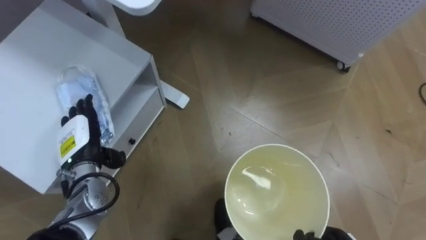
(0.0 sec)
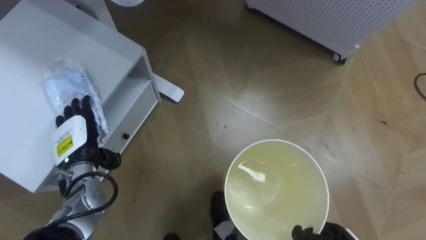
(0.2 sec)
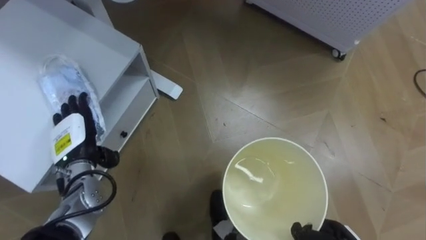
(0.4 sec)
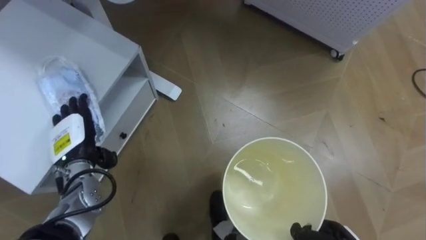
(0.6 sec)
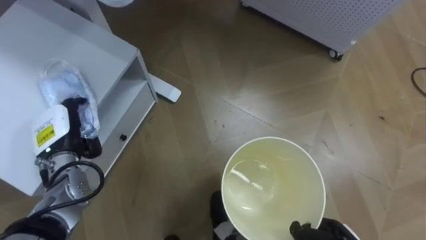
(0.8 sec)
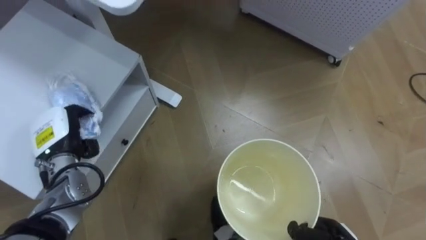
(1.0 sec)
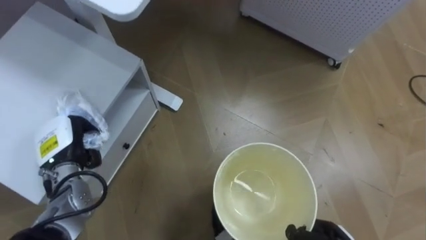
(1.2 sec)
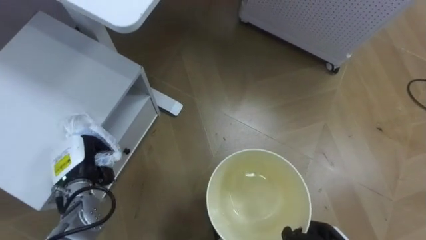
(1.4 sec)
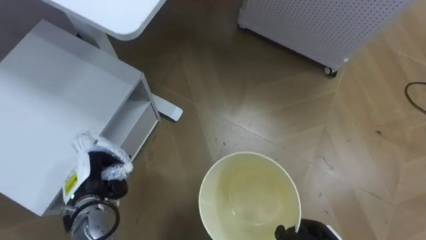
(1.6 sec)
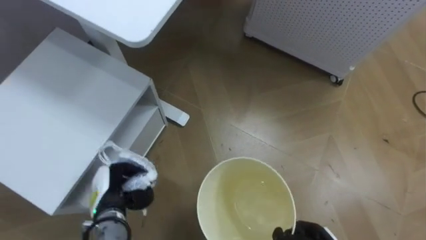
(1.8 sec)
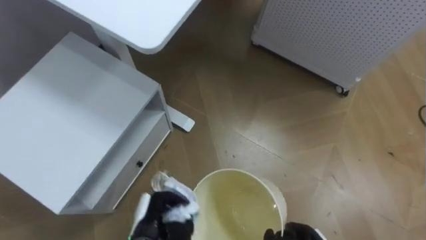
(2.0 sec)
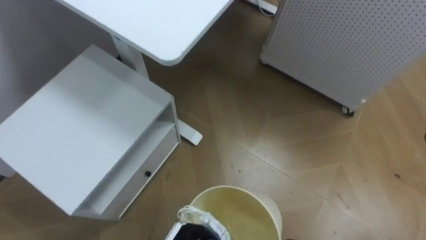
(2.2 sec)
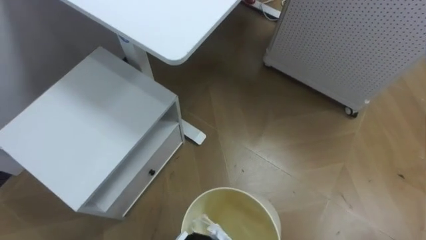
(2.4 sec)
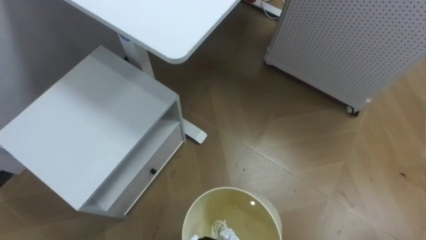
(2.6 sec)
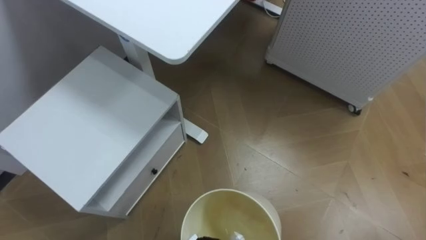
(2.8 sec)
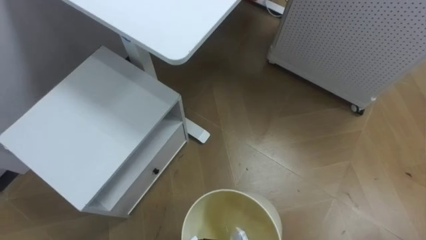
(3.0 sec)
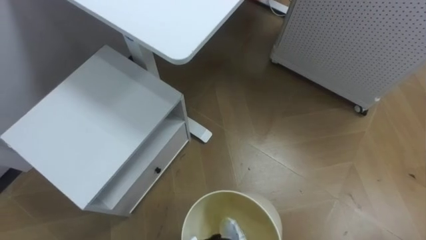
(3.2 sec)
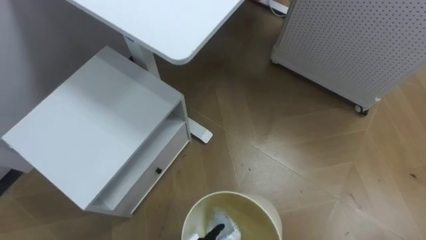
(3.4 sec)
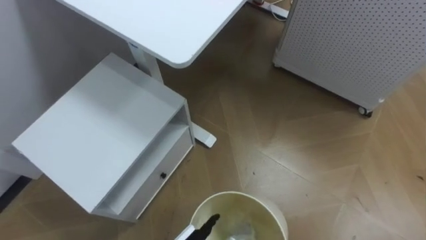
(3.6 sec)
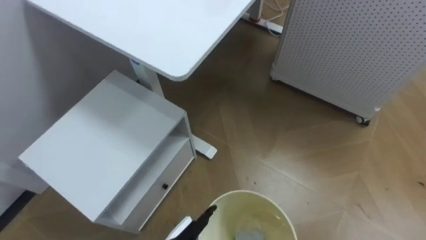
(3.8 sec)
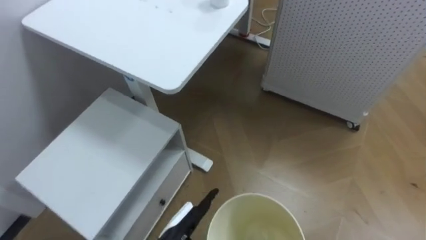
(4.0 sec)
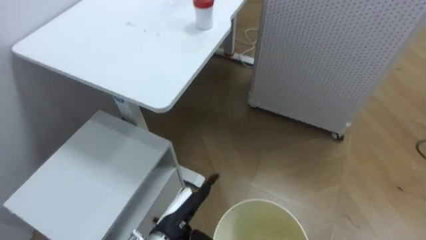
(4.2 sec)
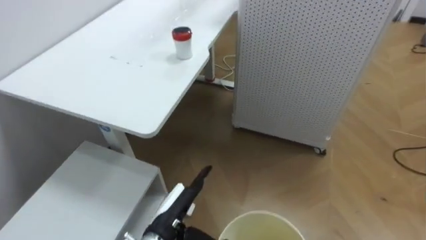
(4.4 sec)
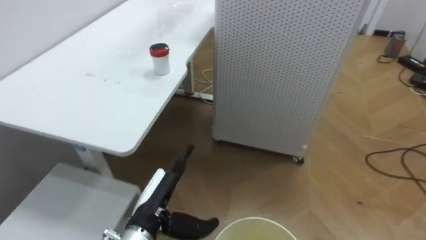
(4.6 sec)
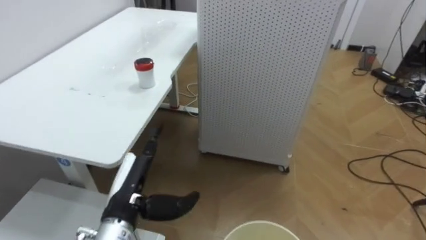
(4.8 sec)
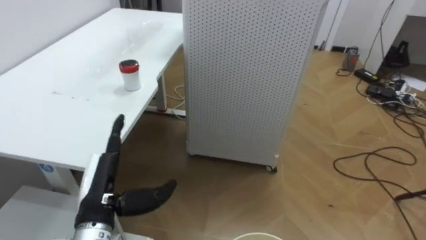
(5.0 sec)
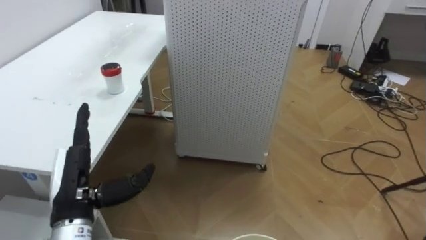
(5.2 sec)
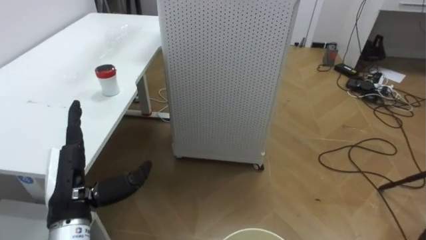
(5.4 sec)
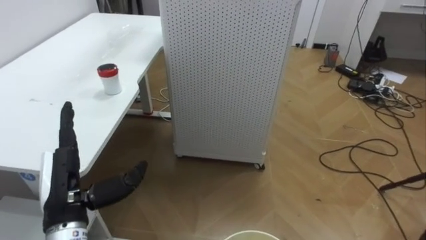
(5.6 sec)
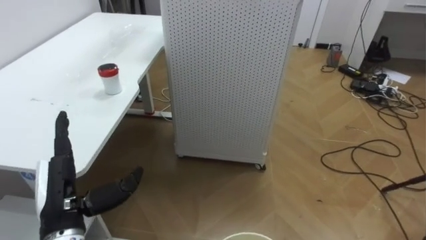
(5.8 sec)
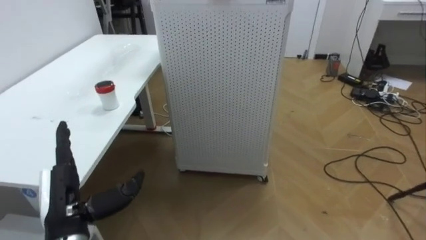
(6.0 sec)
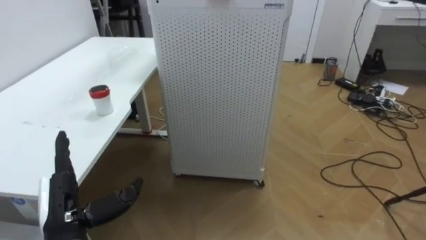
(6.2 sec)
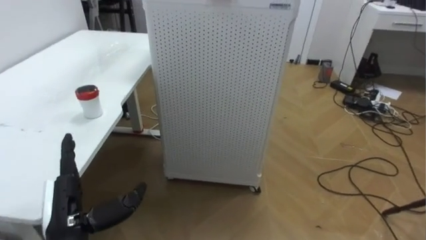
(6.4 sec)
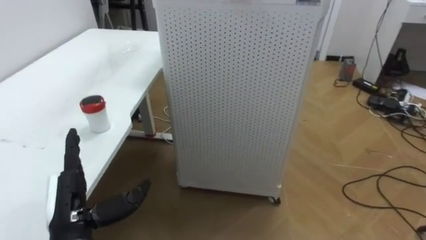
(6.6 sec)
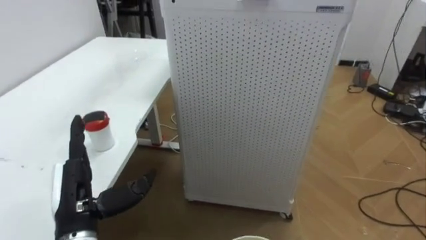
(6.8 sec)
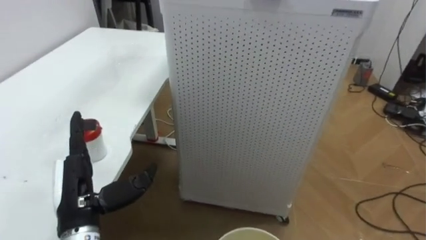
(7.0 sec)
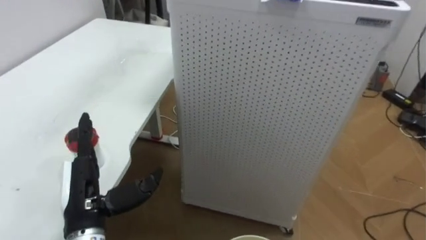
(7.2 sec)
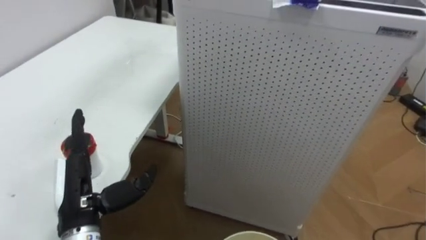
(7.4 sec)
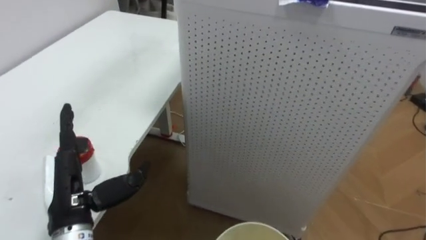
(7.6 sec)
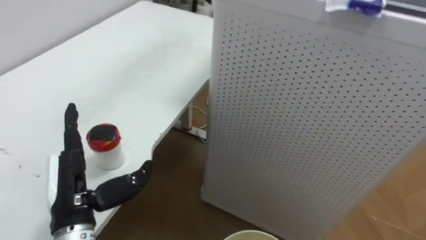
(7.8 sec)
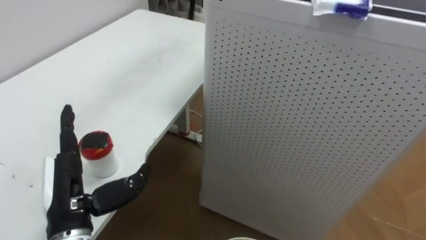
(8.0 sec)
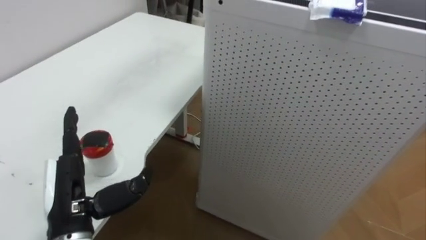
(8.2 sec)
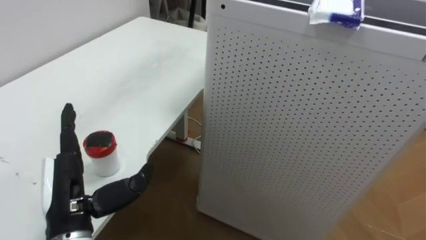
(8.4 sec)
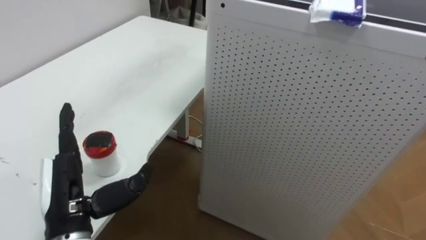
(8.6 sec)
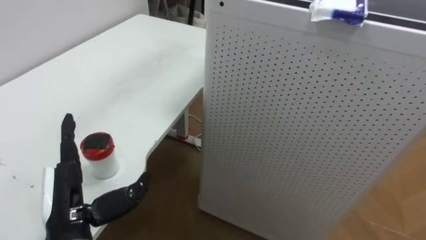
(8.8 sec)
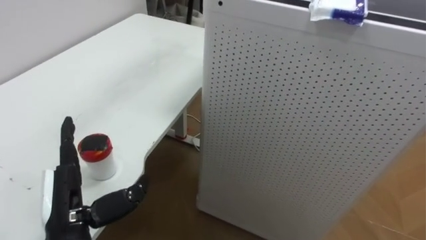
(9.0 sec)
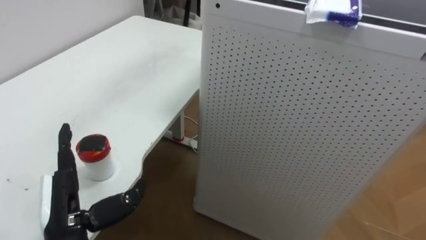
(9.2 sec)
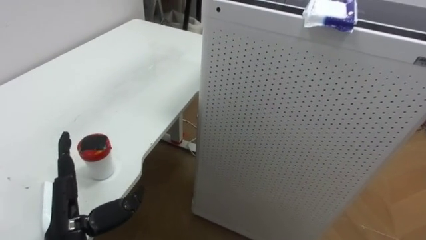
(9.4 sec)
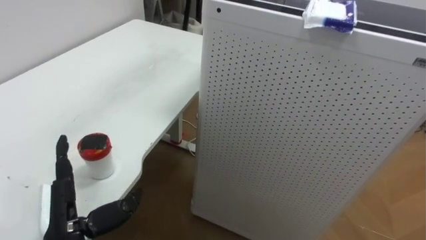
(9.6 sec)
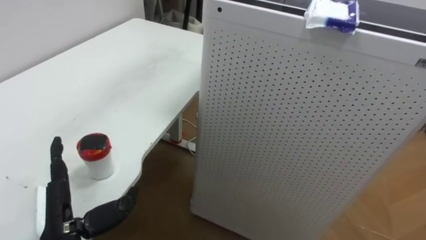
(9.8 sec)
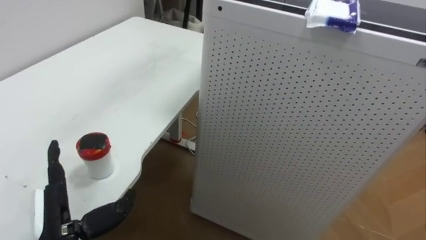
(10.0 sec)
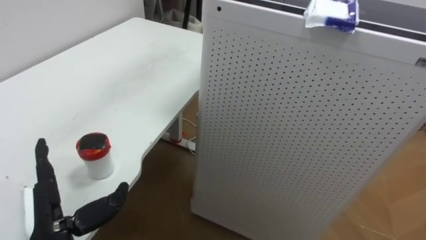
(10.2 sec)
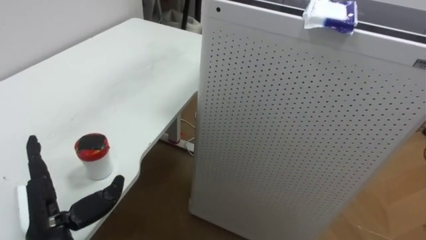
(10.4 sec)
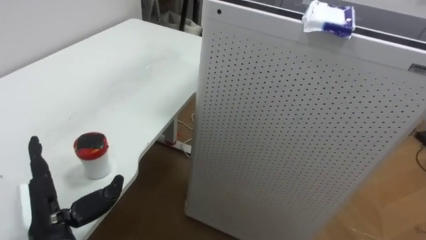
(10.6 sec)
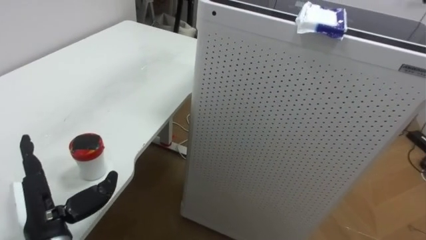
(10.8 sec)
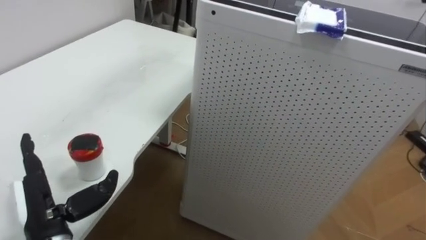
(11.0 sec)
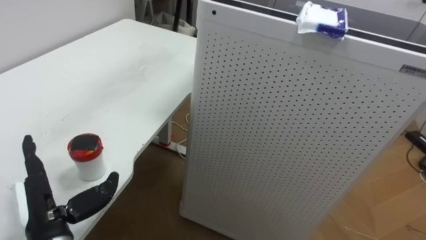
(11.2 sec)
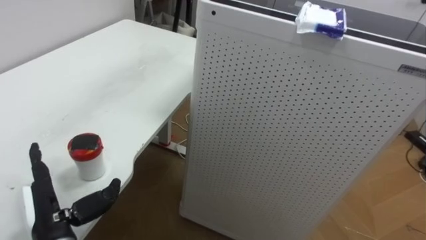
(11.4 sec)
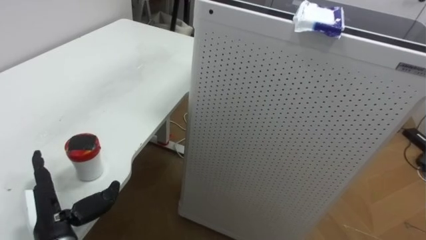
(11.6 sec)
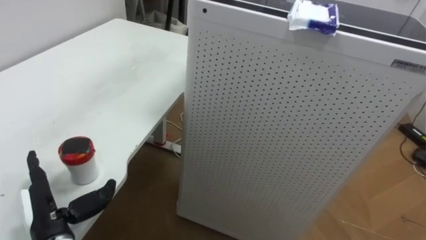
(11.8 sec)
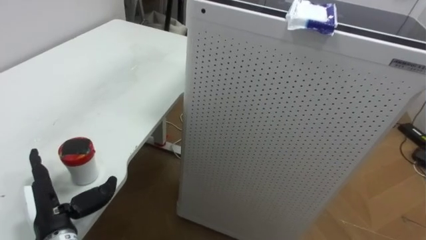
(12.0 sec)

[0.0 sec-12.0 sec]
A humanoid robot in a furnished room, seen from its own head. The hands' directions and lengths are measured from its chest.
Task of the whole recording: Pick up the light blue package, the candy box, and the dark blue package separately, and put them into the trash can held in your right hand.
0.0 sec to 1.6 sec: The left hand moves downward, roughly 5 cm, and closes.
4.4 sec to 6.0 sec: The robot faces approximately 20 degrees further to its right. The left hand moves to the left and upward, approximately 20 cm.
10.4 sec to 12.0 sec: The left hand changes place by about 5 cm.

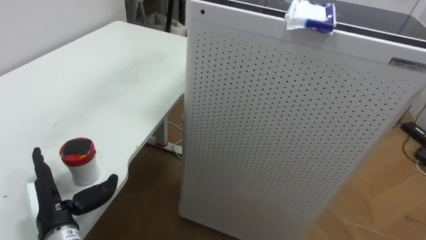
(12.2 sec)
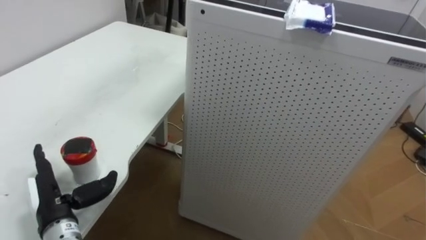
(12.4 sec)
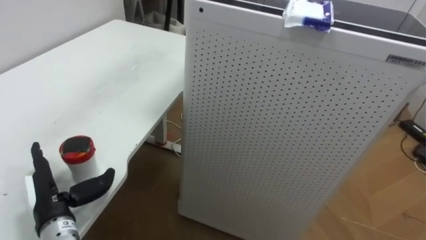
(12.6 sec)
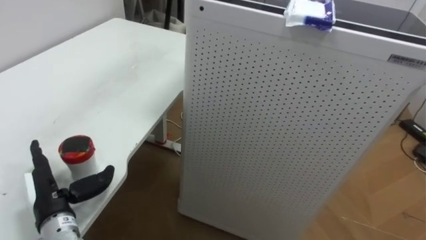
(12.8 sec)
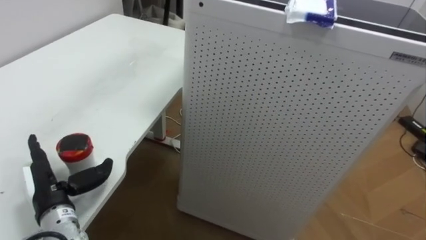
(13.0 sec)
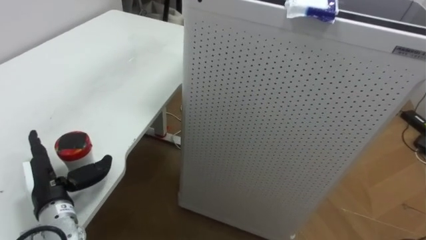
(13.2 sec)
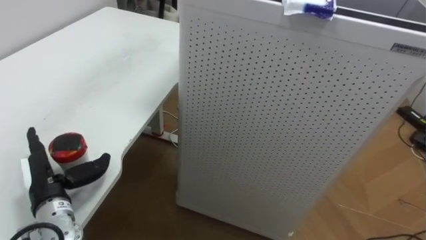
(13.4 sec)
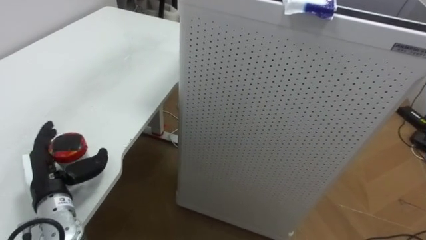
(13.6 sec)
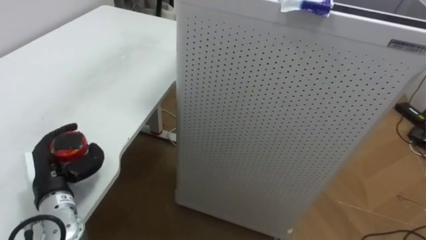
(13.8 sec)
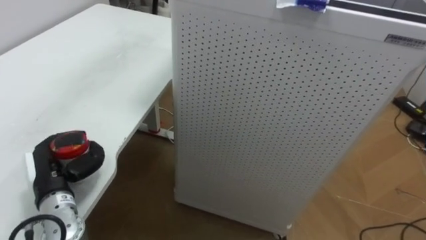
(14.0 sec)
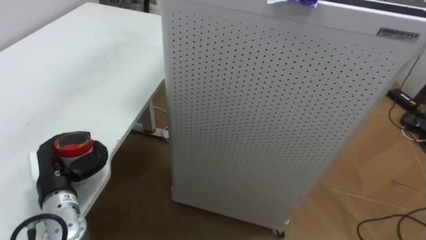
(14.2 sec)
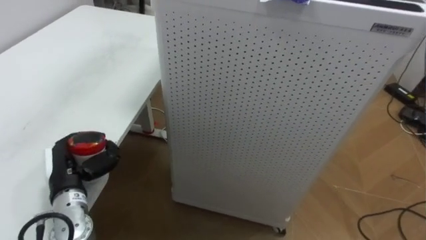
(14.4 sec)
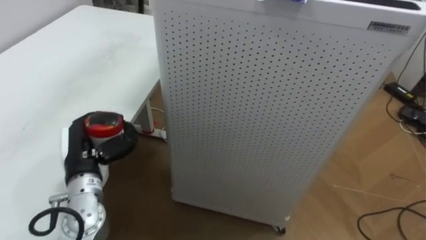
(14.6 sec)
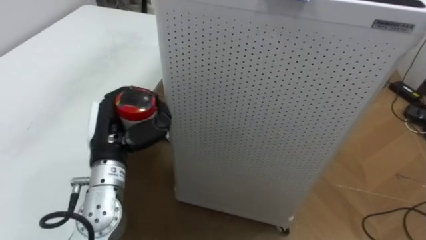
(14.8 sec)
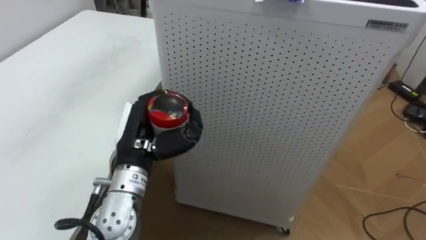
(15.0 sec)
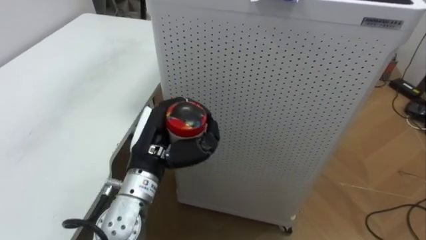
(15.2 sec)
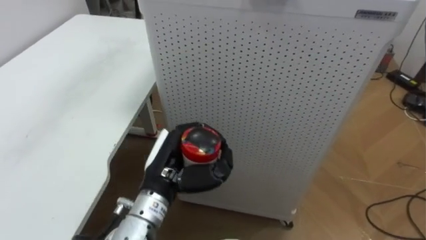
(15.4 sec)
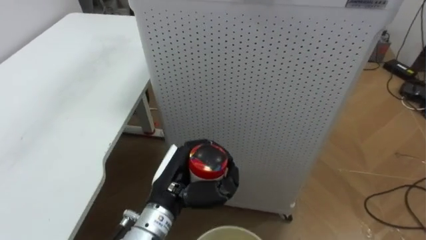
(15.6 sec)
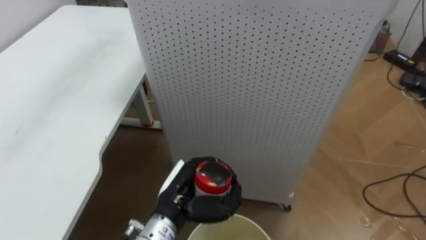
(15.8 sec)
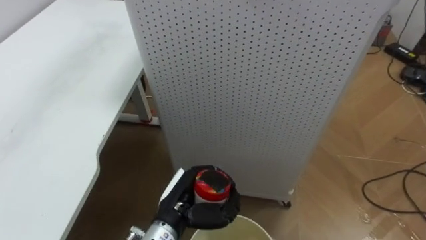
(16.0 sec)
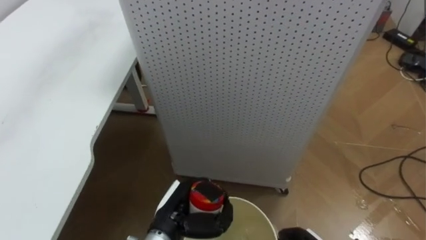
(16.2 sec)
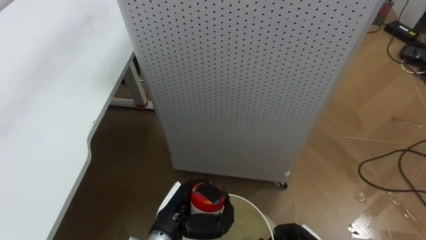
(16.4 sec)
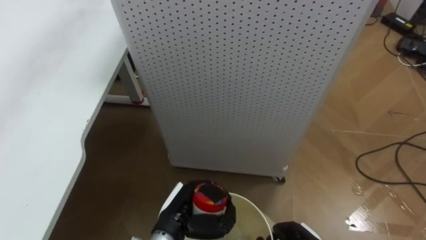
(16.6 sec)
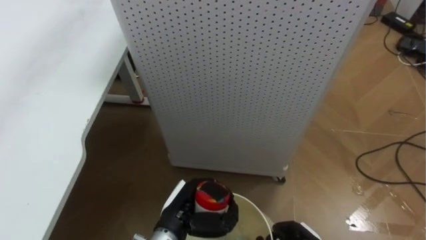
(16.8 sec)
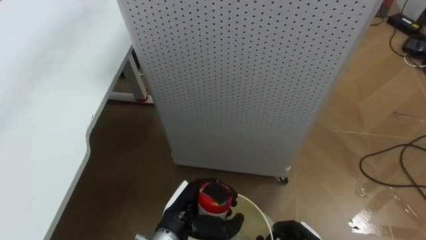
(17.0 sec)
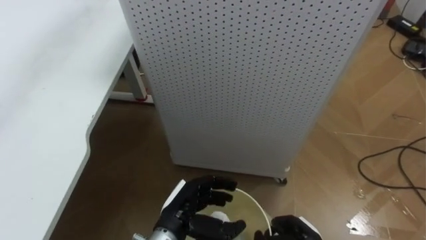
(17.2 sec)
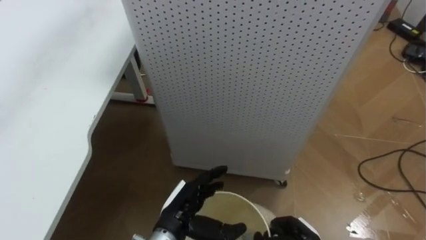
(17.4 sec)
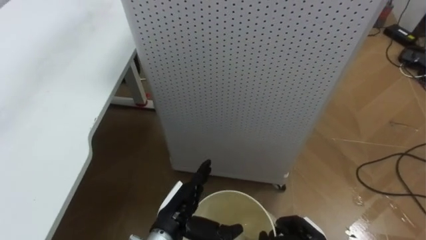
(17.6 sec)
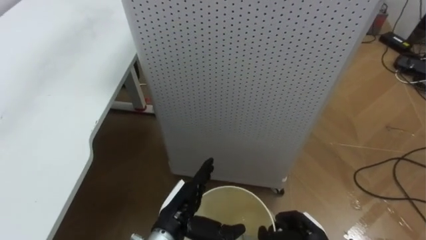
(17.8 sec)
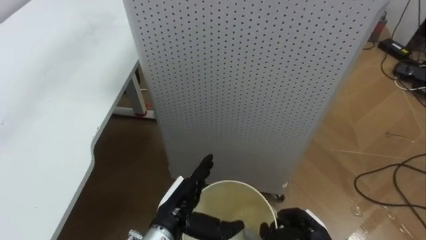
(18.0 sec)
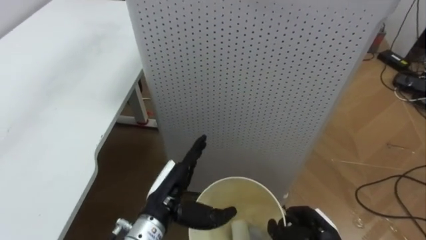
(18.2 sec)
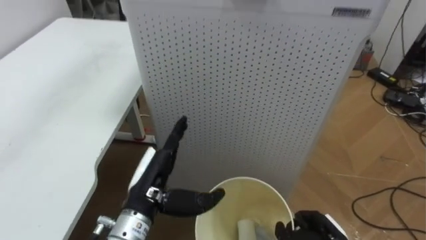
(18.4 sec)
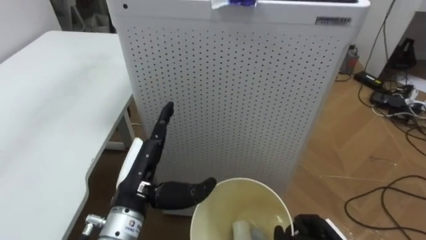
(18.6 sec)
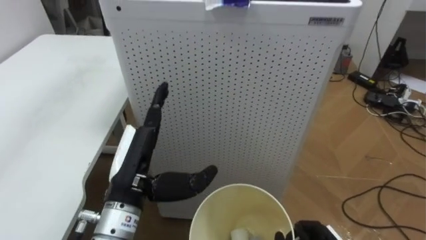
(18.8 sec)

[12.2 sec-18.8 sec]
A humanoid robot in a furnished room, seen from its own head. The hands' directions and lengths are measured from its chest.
Task of the whole recording: Pick up the light blue package, the candy box, and the dark blue package separately, and put them into the trash can held in your right hand.
12.2 sec to 13.8 sec: The left hand shifts by some 5 cm, and closes.
13.8 sec to 15.4 sec: The left hand shifts approximately 20 cm to the right.
15.4 sec to 17.2 sec: The left hand is displaced downward by about 10 cm, and opens its fingers.
17.2 sec to 18.8 sec: The left hand goes some 15 cm upward and to the left.
